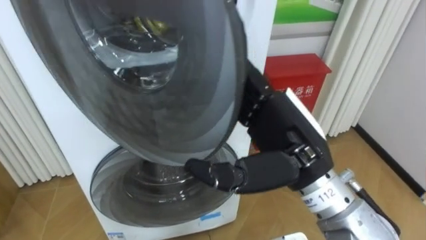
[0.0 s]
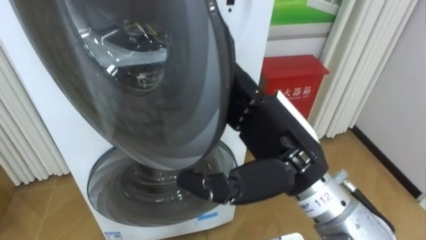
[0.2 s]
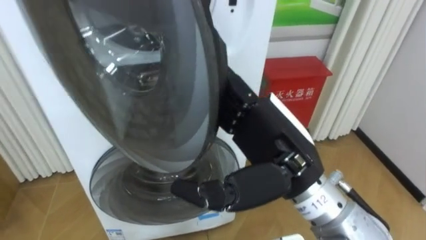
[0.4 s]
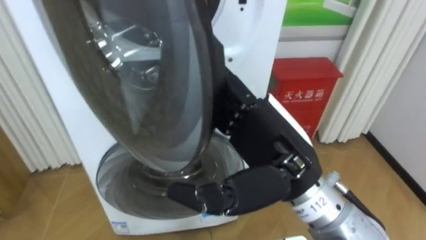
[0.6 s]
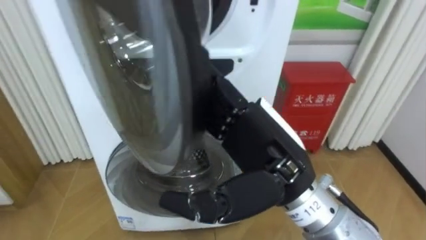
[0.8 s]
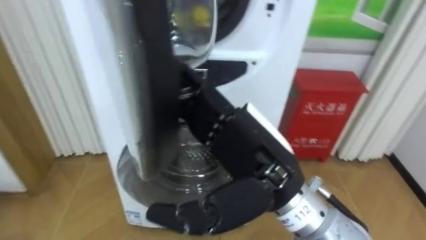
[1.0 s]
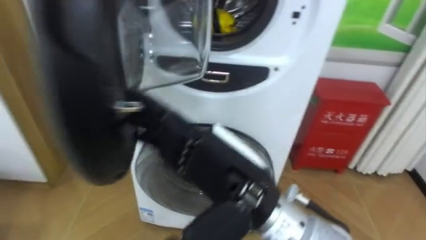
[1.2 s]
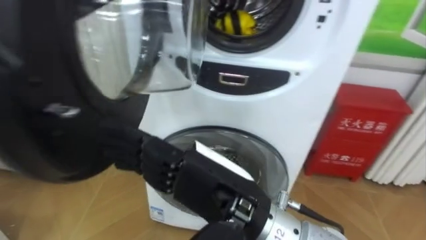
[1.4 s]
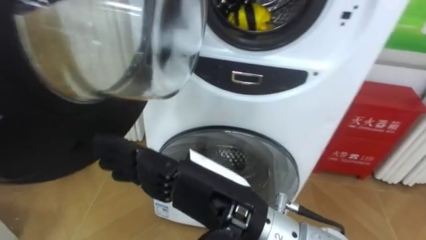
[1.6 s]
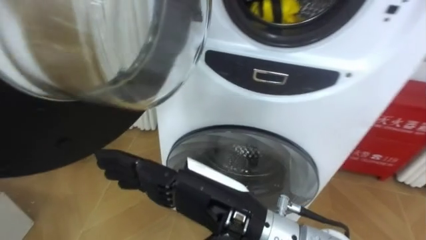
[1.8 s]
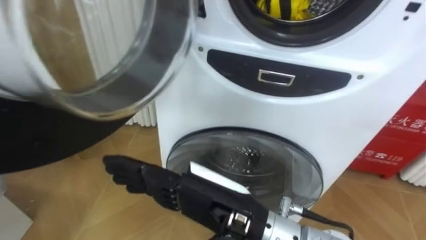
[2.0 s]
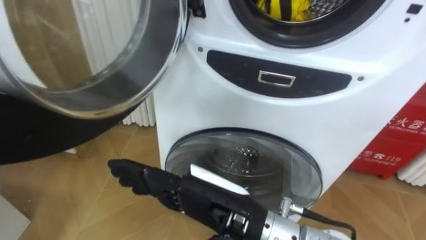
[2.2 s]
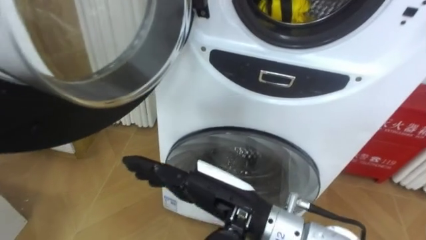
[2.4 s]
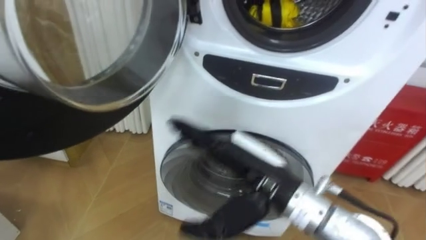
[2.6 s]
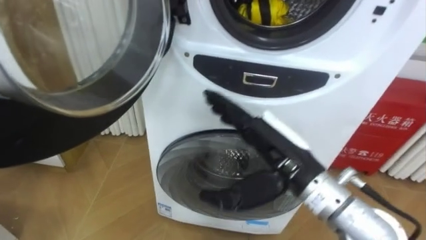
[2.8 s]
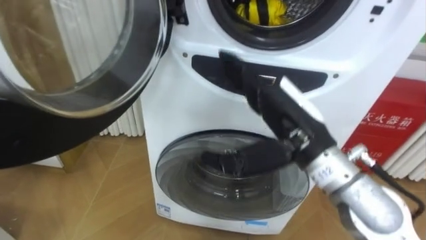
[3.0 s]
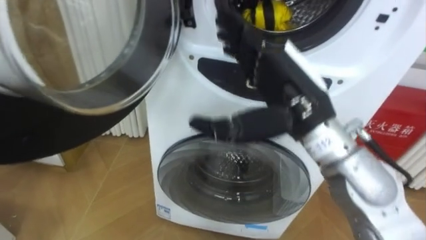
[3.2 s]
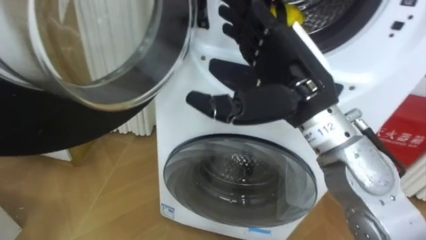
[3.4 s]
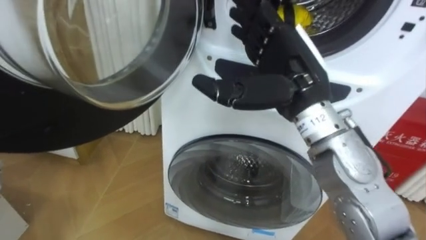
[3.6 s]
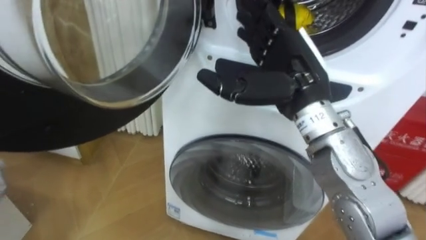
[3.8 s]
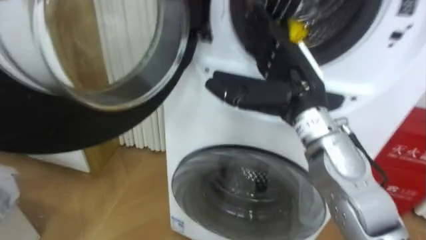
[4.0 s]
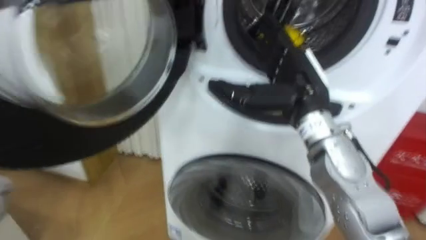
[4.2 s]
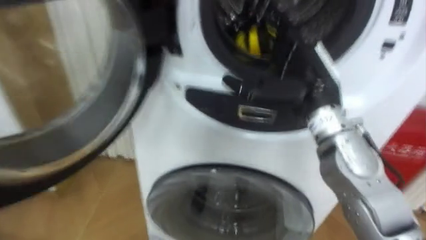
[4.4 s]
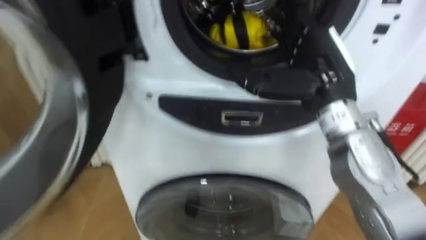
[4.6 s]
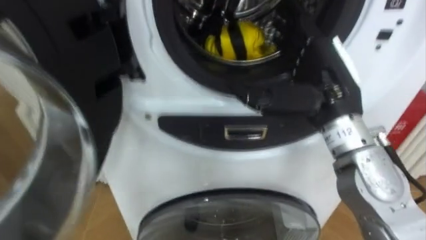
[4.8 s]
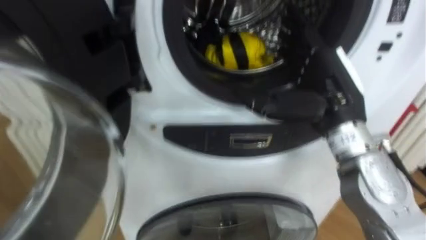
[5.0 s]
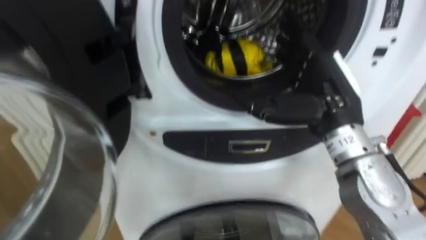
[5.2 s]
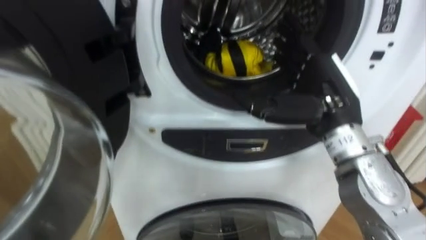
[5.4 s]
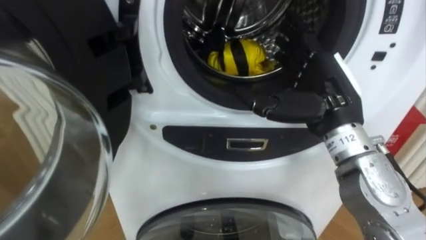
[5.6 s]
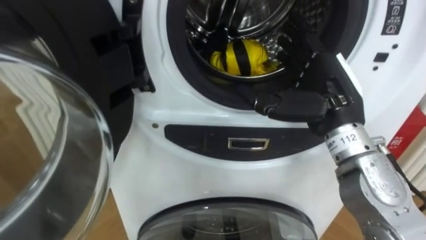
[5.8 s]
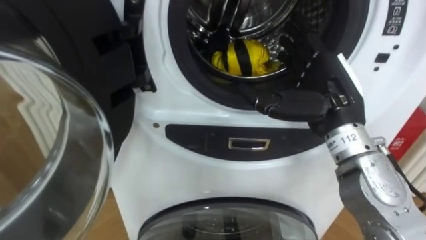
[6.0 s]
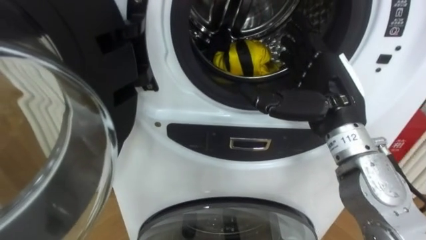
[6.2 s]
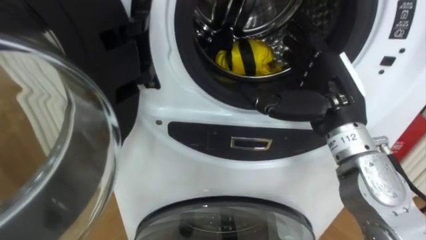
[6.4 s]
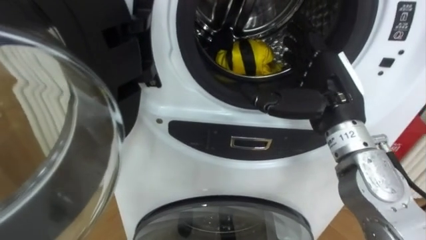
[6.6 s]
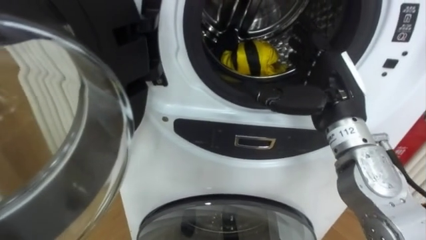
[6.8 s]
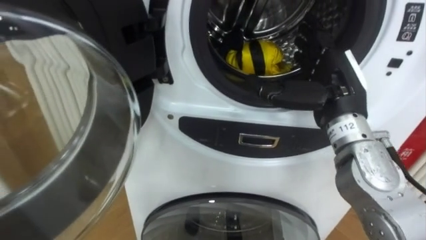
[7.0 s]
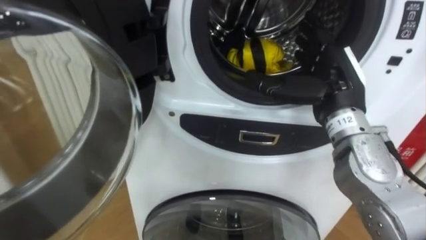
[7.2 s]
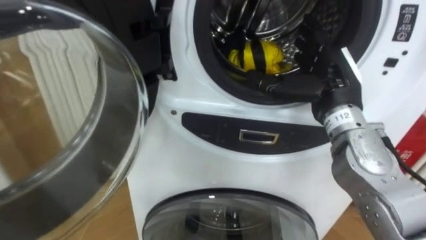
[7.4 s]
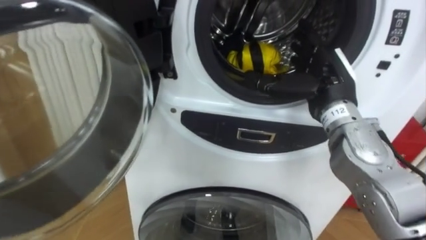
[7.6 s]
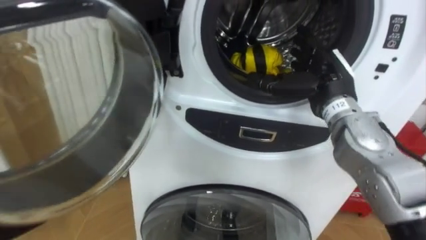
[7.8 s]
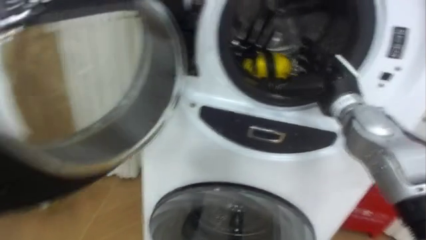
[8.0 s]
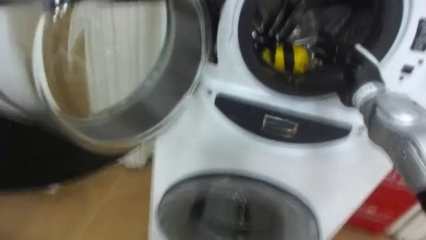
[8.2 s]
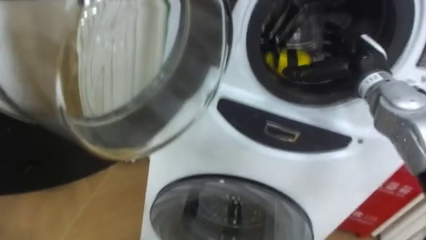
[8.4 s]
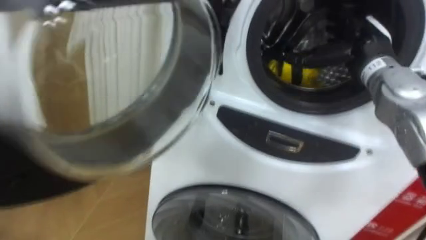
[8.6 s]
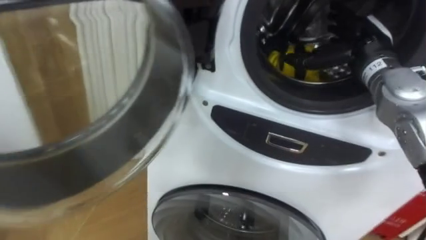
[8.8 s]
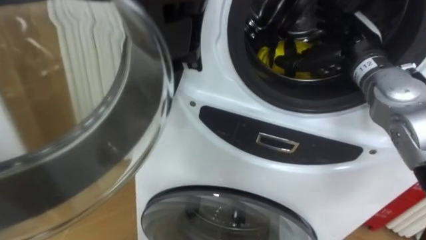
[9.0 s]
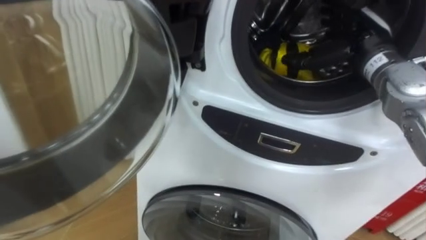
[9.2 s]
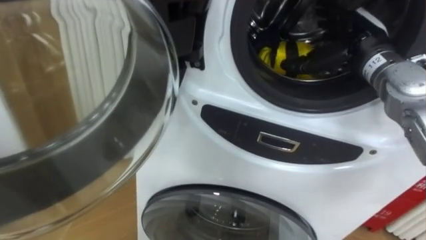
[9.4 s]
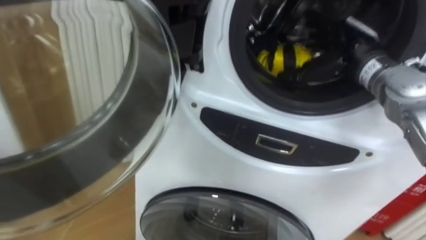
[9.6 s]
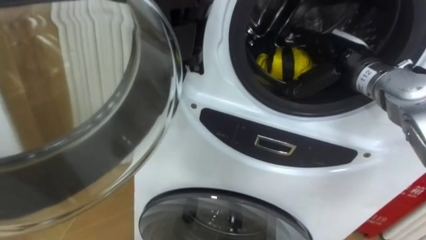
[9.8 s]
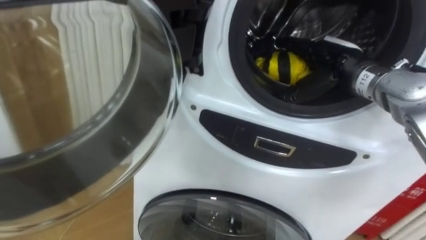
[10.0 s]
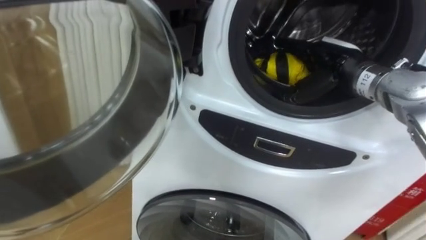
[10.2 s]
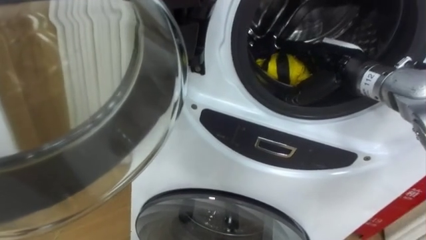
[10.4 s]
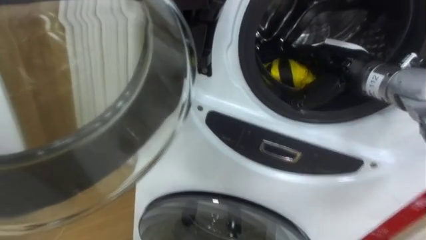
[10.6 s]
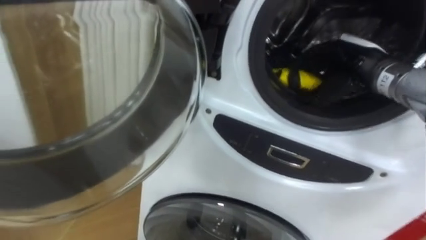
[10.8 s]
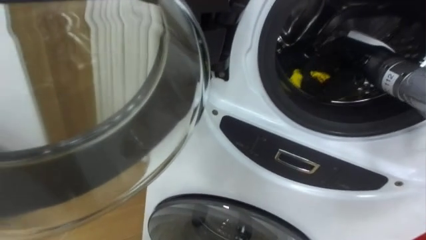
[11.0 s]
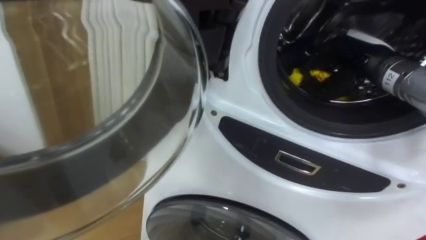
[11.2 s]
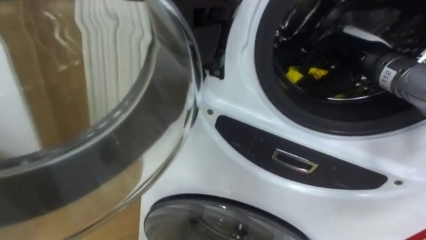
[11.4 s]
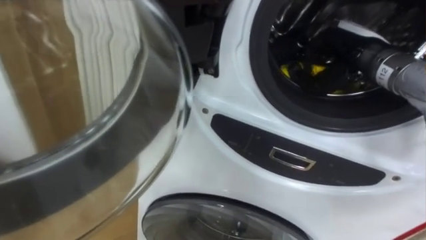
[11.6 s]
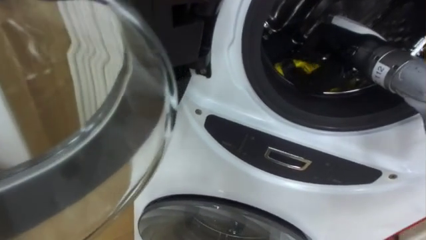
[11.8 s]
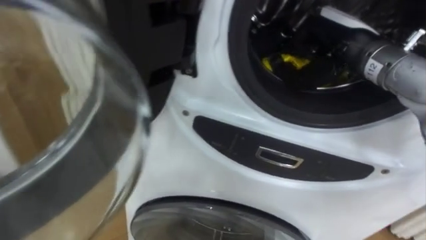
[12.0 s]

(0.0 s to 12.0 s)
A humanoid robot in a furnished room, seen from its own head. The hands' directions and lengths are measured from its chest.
Task of the whole recording: Open the washing machine door, take out the yellow clothes, place them in the box on the right, and close the washing machine door.
0.0 s - 1.6 s: The right hand moves to the left and backward, roughly 10 cm.
1.6 s - 3.0 s: The right hand moves to the right and forward, about 15 cm.
3.0 s - 4.4 s: The right hand is displaced forward by some 10 cm.
7.6 s - 9.0 s: The right hand goes approximately 5 cm forward.
10.4 s - 12.0 s: The right hand moves upward, approximately 5 cm, and closes.

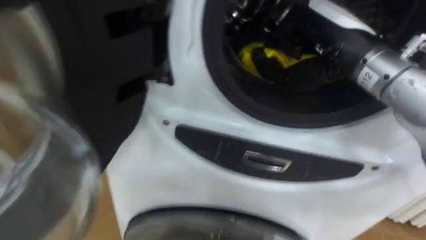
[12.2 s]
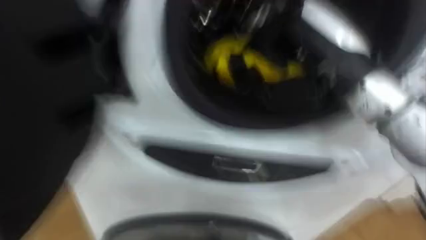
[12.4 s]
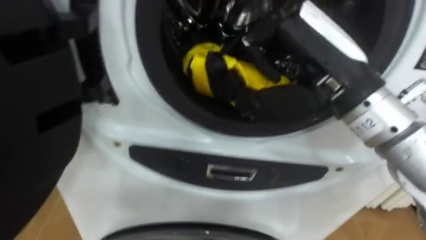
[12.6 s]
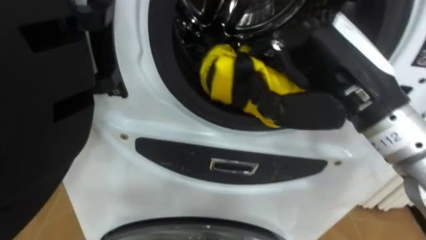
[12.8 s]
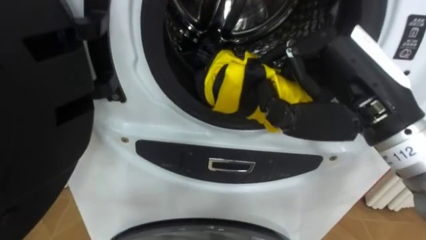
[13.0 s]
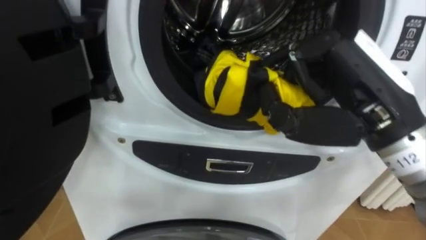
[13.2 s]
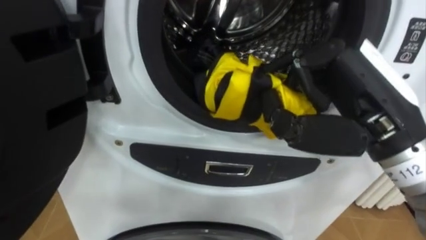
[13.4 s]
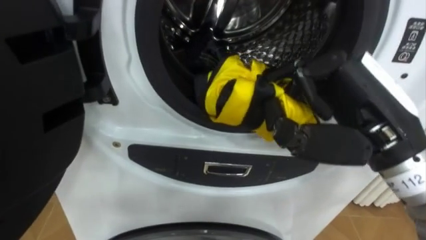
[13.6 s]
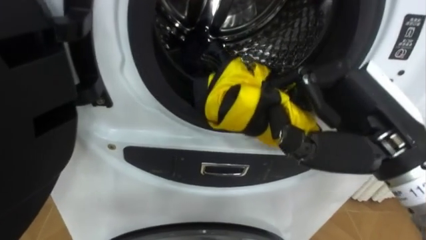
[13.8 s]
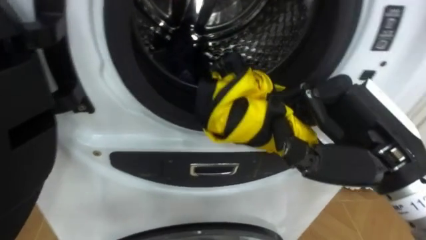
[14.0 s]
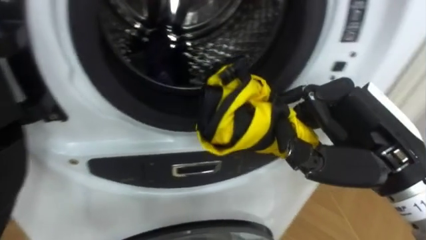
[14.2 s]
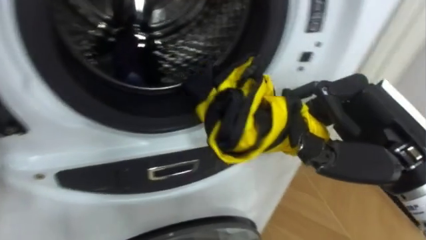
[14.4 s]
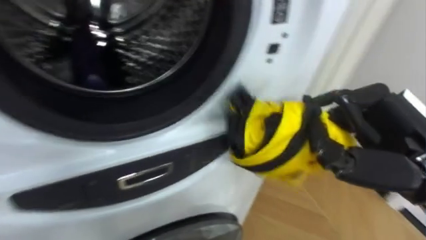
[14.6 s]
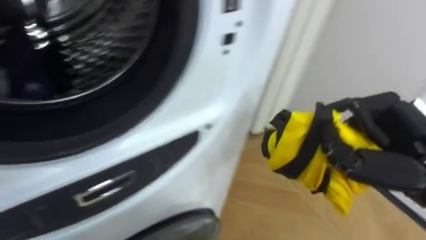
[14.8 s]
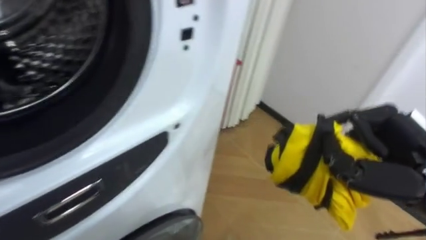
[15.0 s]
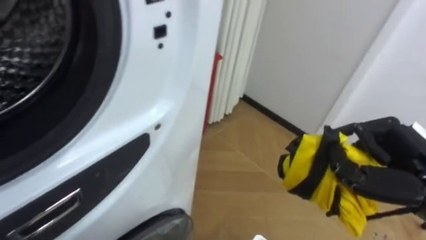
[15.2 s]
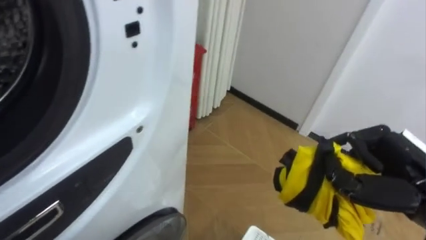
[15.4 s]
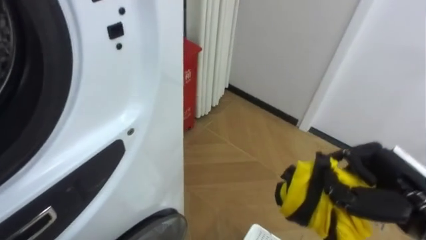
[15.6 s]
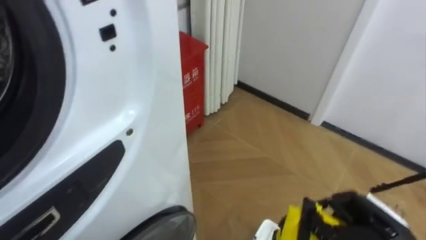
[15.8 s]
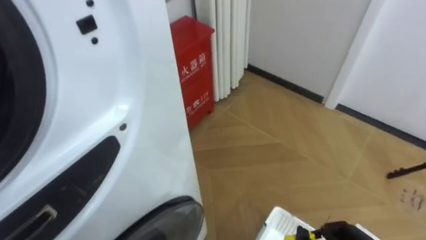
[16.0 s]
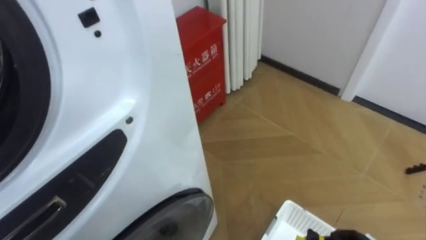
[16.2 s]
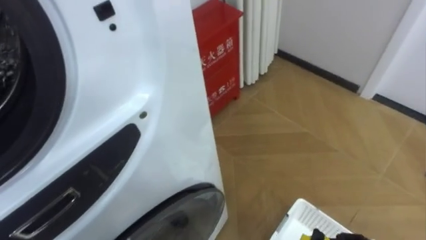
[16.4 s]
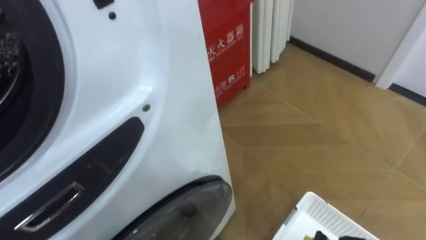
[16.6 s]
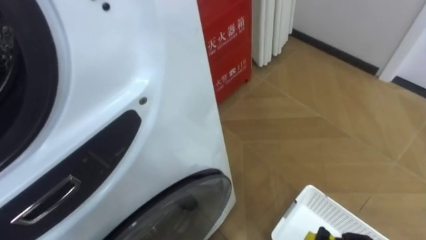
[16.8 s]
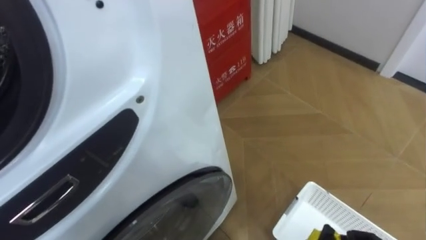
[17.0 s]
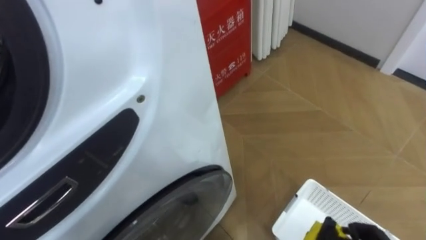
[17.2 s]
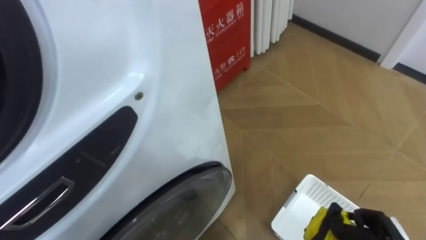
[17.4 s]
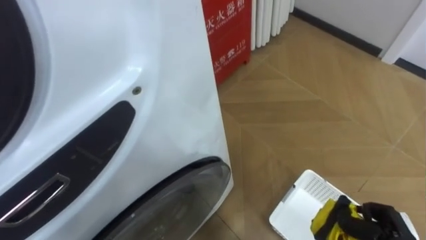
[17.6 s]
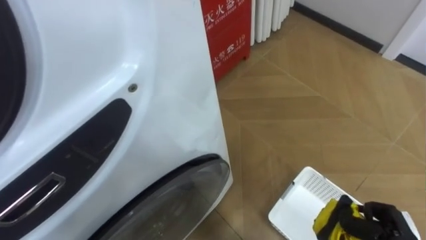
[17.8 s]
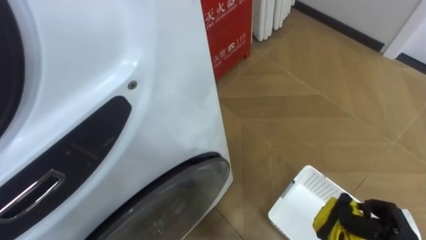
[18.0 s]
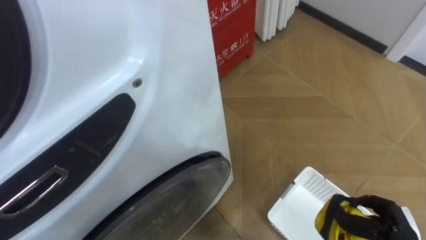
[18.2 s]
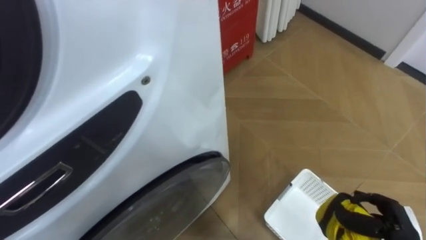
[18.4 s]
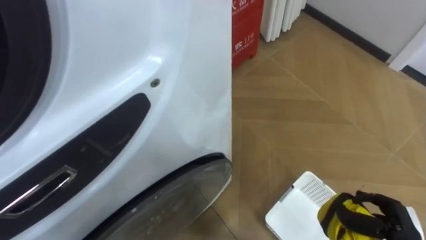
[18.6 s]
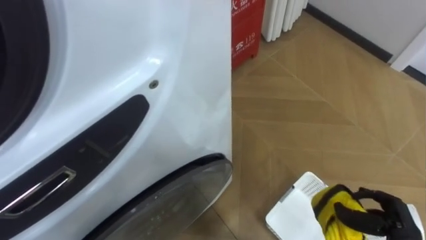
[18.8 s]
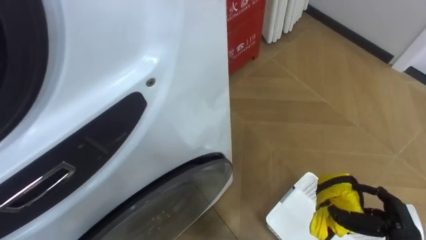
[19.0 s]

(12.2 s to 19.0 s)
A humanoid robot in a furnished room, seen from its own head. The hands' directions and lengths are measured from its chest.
Task of the whole recording: Open the washing machine door, take out the yellow clothes, place them in the box on the right, and close the washing machine door.
12.2 s - 13.6 s: The right hand moves backward, approximately 10 cm.
13.6 s - 15.0 s: The right hand shifts roughly 10 cm to the right and downward.
